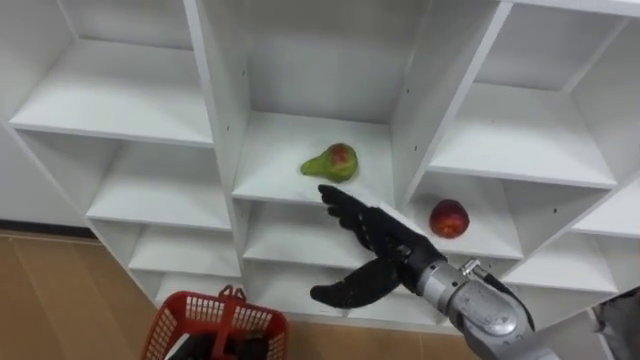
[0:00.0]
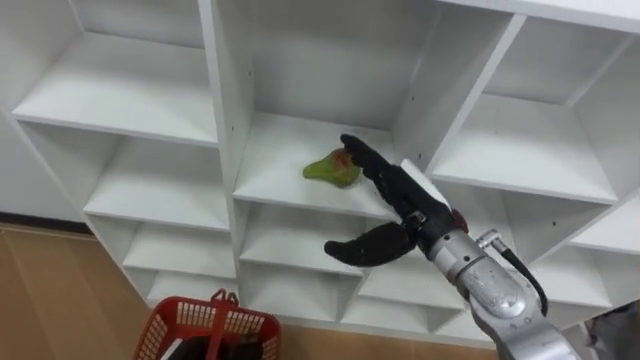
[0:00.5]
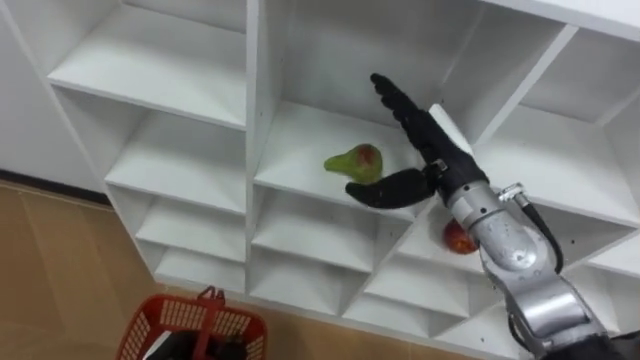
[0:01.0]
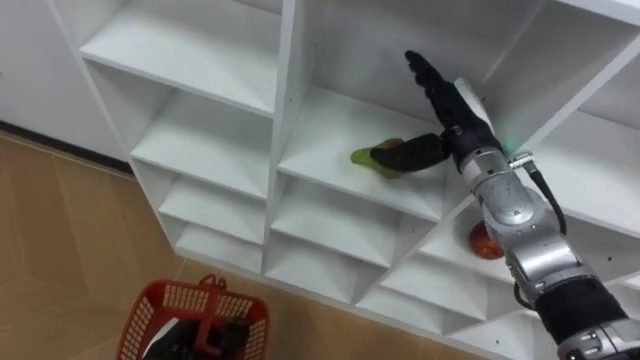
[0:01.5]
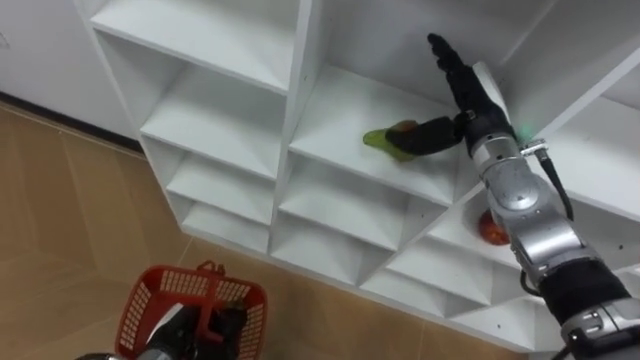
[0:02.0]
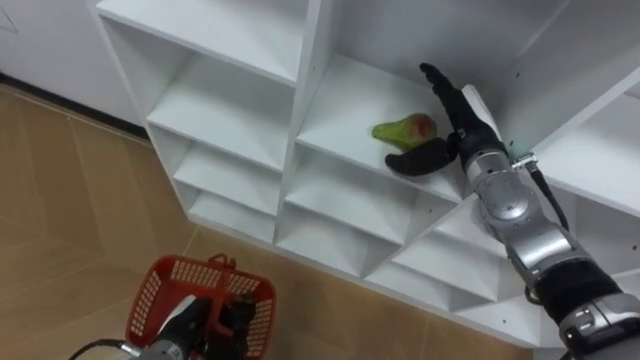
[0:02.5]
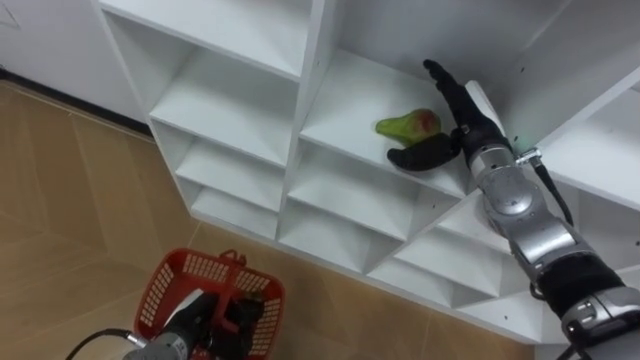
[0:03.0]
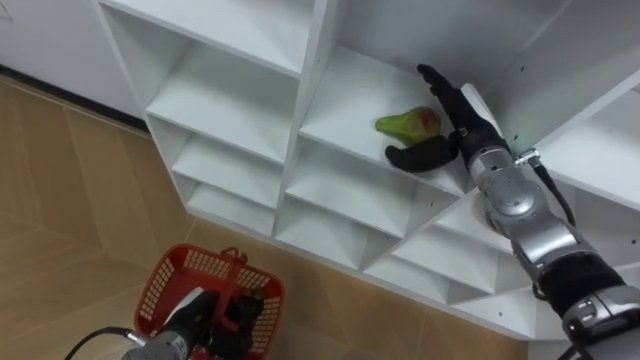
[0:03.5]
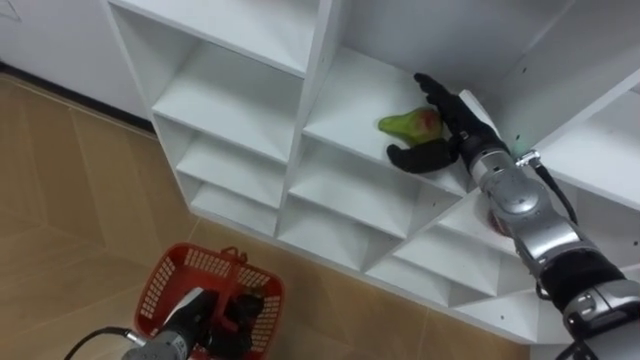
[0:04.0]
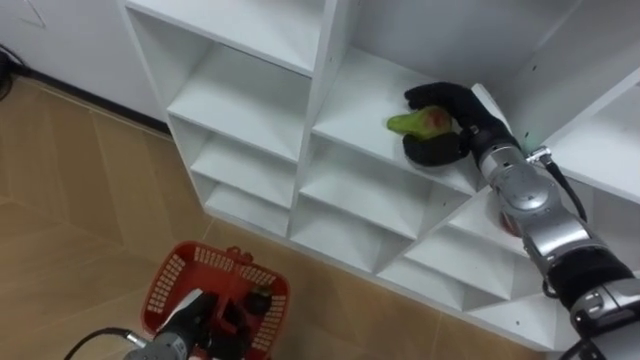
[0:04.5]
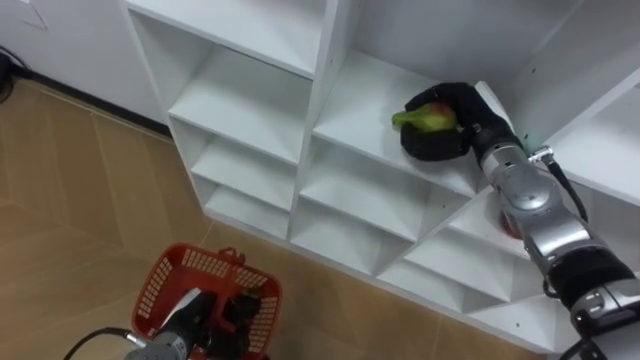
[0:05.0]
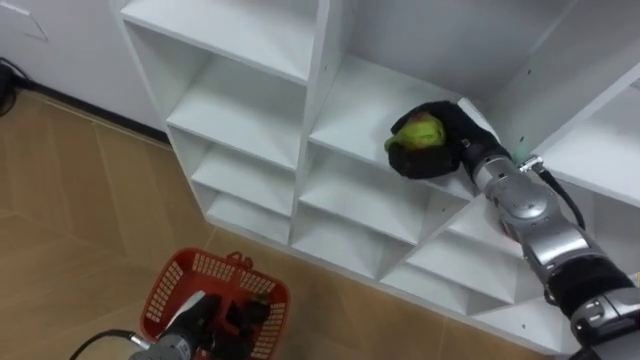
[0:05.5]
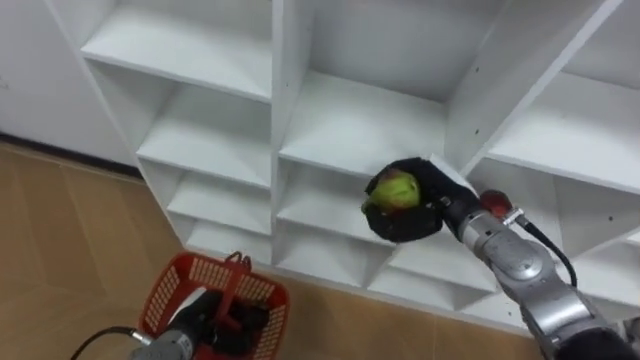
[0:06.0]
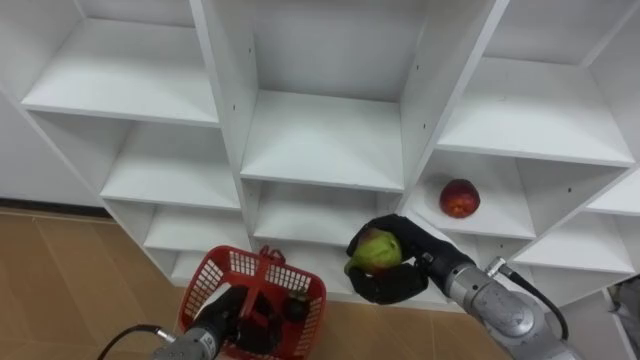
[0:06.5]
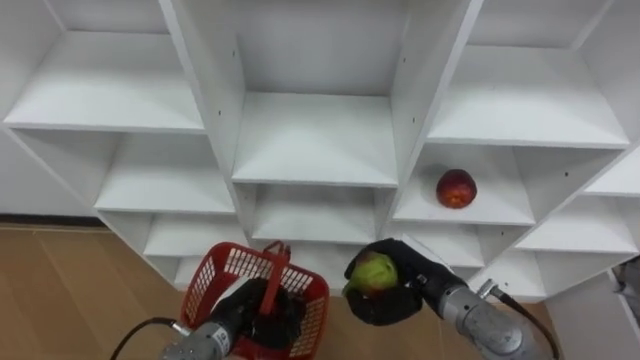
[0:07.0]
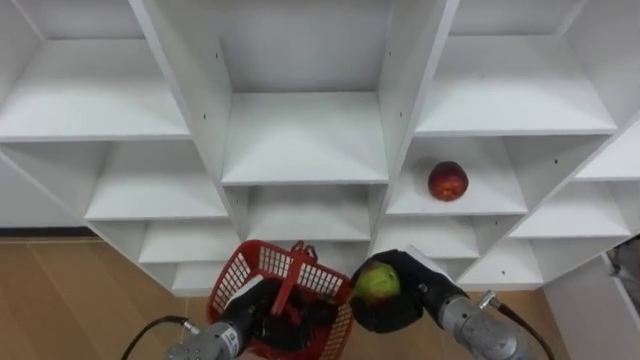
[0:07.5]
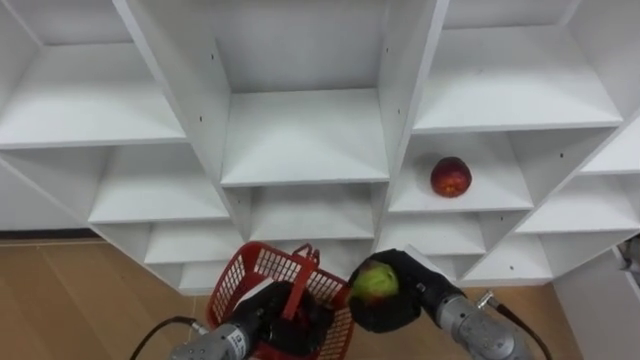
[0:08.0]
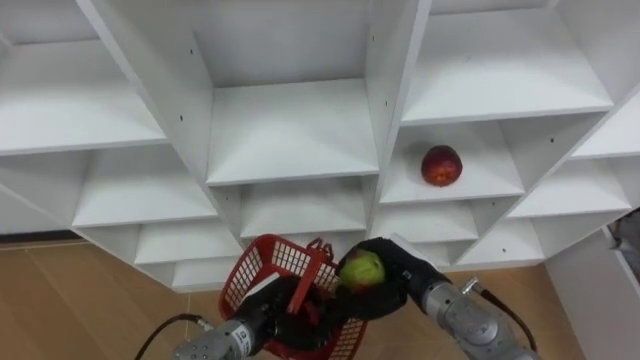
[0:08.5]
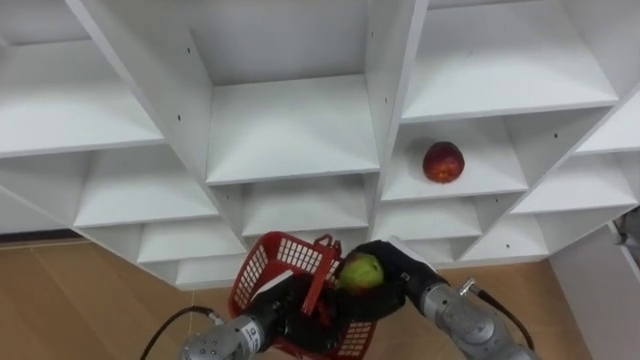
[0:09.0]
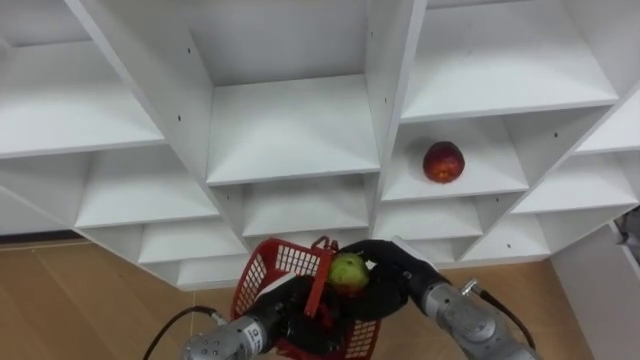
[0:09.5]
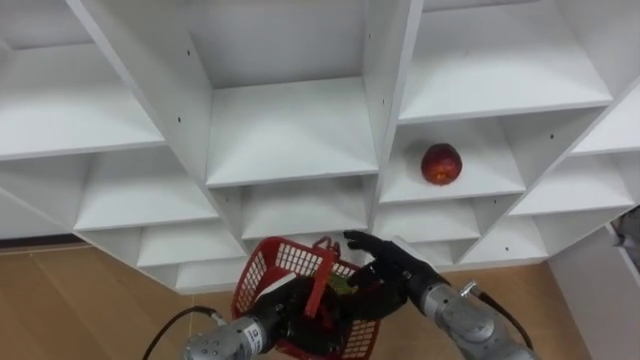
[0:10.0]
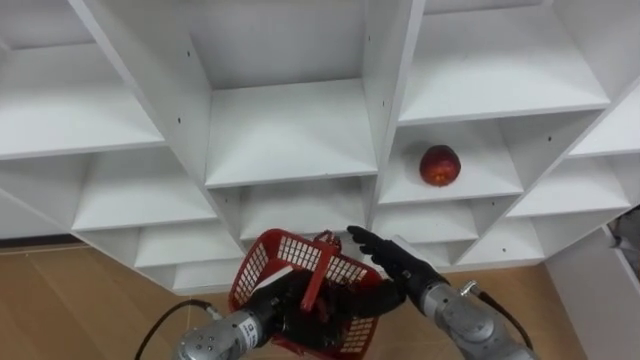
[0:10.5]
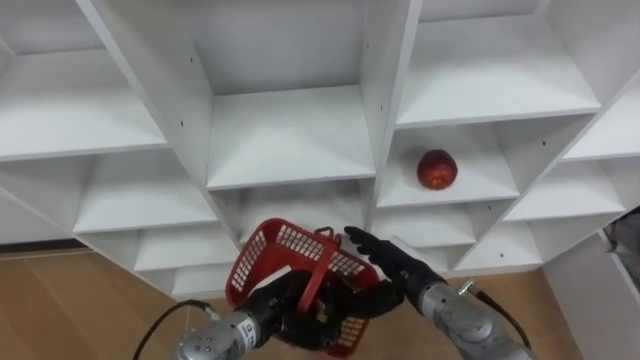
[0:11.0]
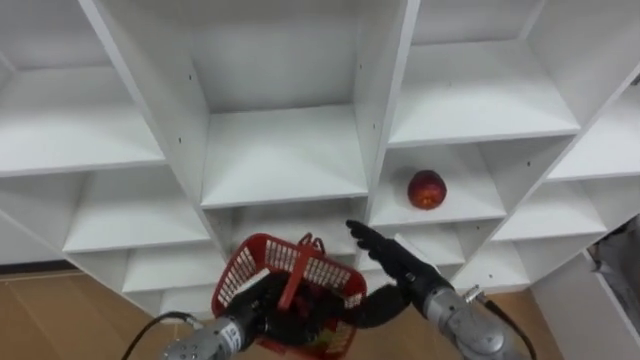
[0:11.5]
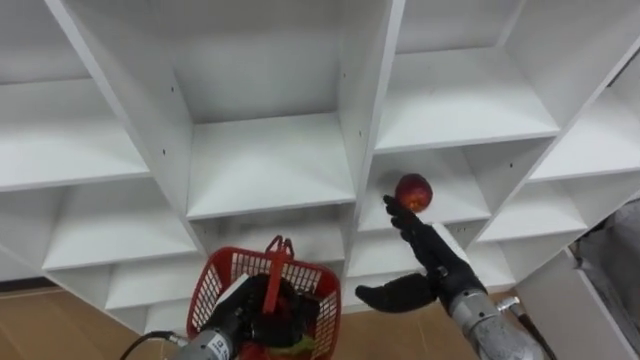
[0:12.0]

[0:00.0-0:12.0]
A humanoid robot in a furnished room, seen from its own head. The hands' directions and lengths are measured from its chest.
Task of the whole recording: Hold the basket and collect the fruits from 3 different cells of the closet into it.
0:00.0 to 0:02.0: The right hand shifts about 20 cm forward, to the right and upward.
0:04.0 to 0:06.0: The right hand goes roughly 5 cm backward, and closes up.
0:06.0 to 0:08.0: The left hand moves to the right, about 10 cm; the right hand heads downward and backward, covering about 10 cm.
0:08.0 to 0:10.0: The right hand opens up.
0:10.0 to 0:12.0: The left hand goes about 5 cm to the left, while the right hand moves some 5 cm.

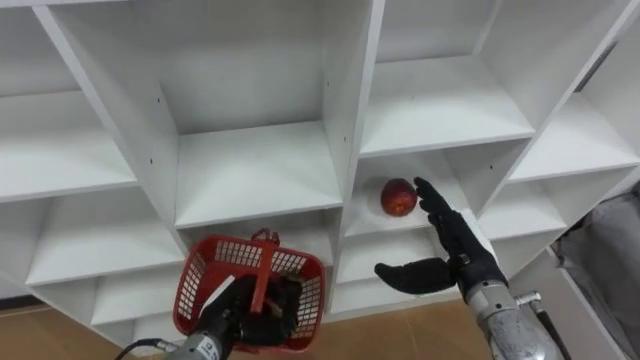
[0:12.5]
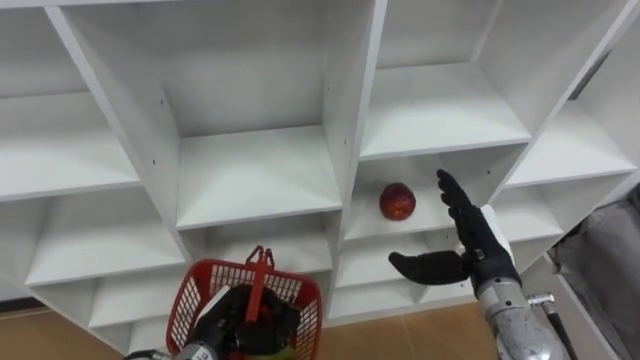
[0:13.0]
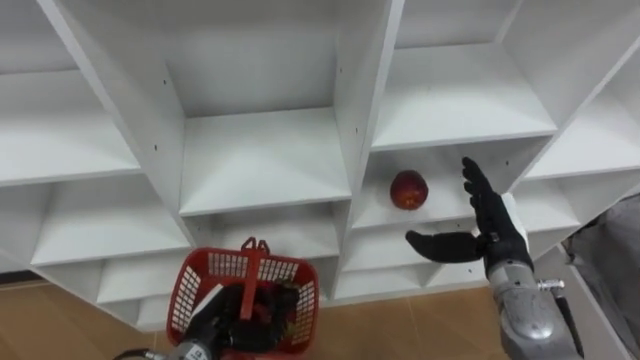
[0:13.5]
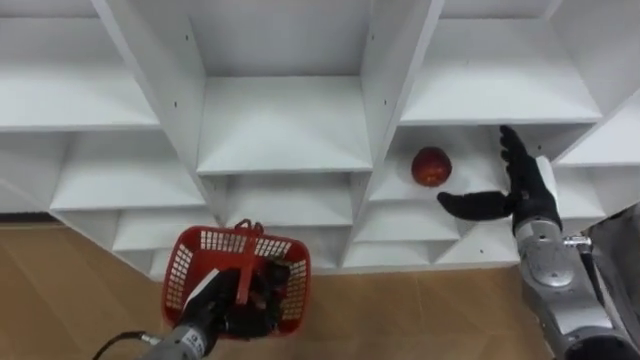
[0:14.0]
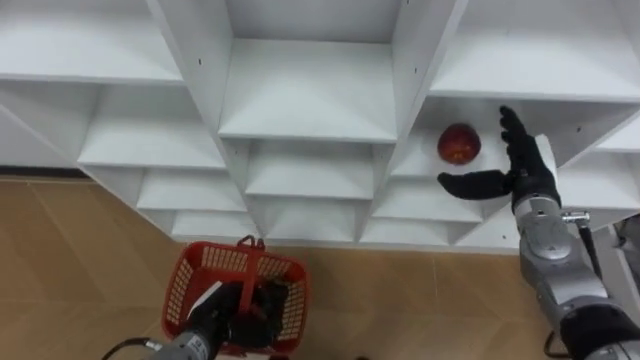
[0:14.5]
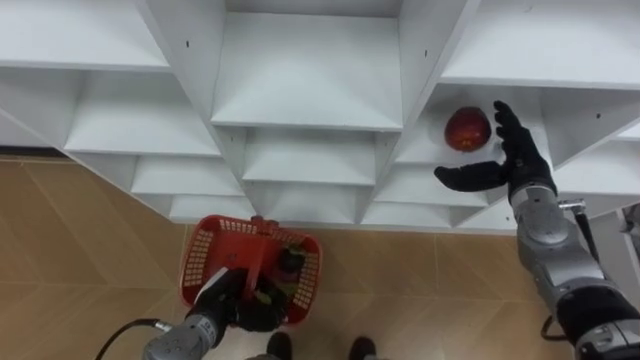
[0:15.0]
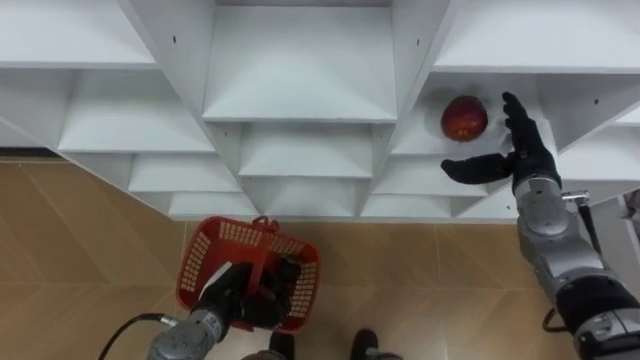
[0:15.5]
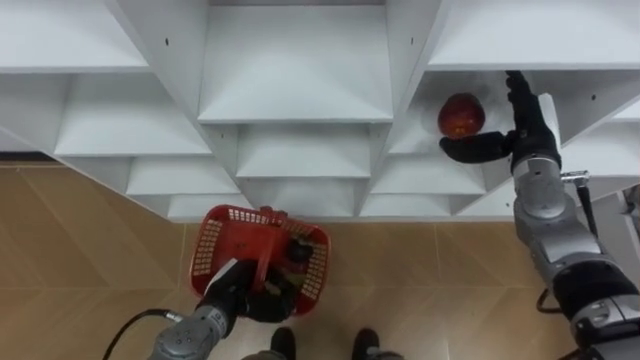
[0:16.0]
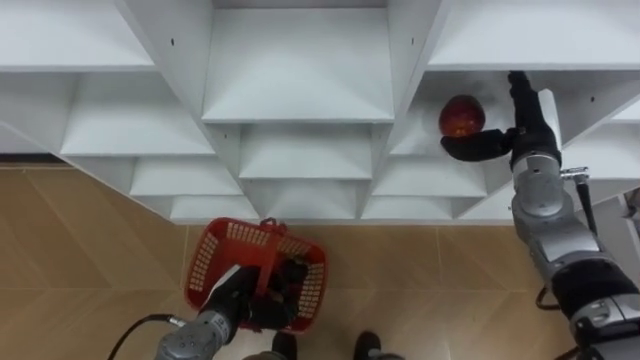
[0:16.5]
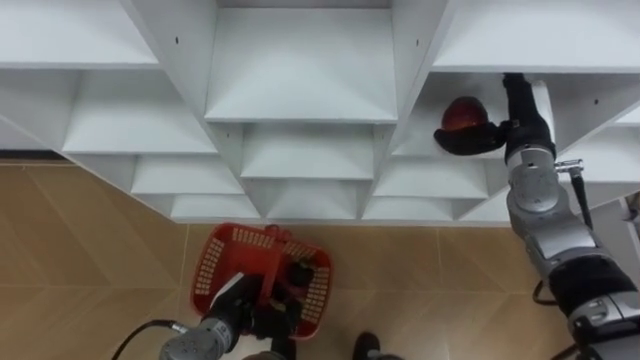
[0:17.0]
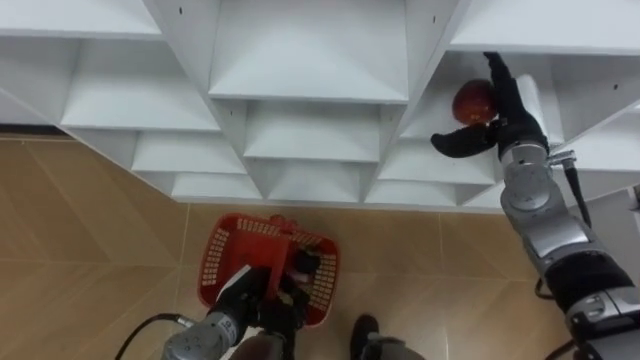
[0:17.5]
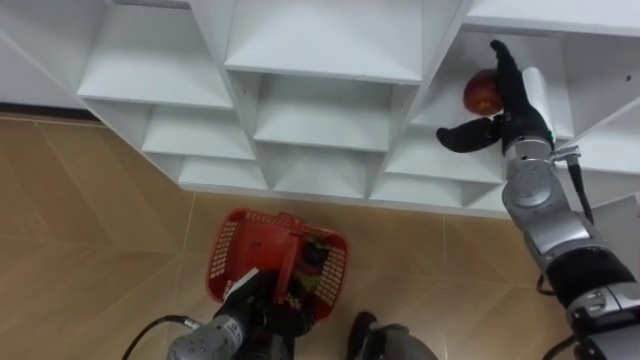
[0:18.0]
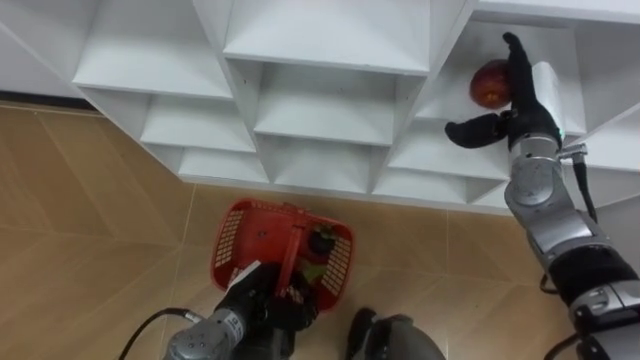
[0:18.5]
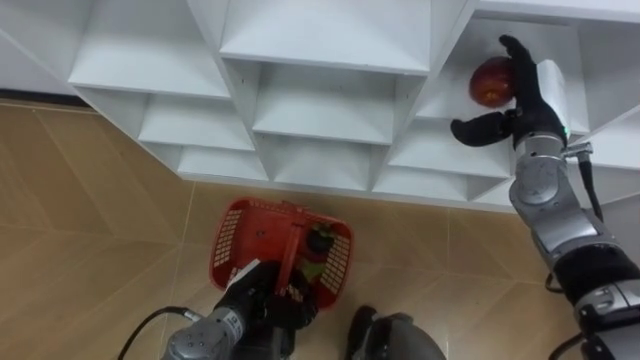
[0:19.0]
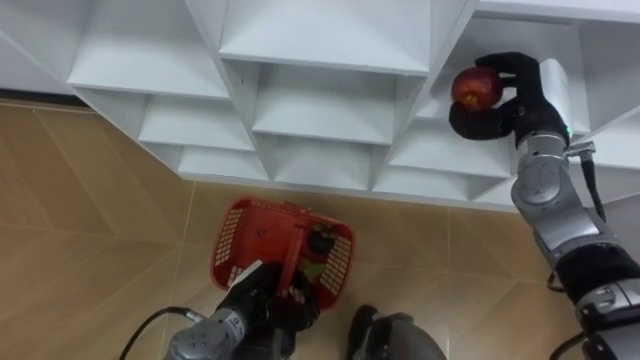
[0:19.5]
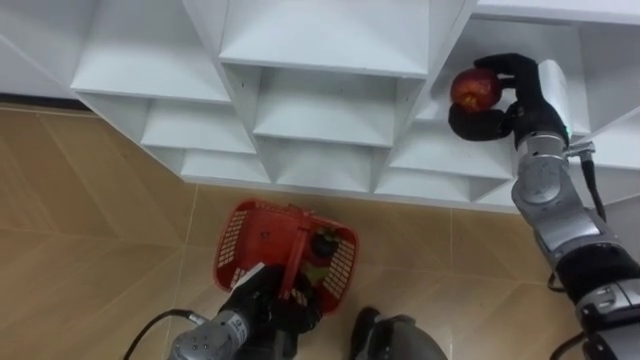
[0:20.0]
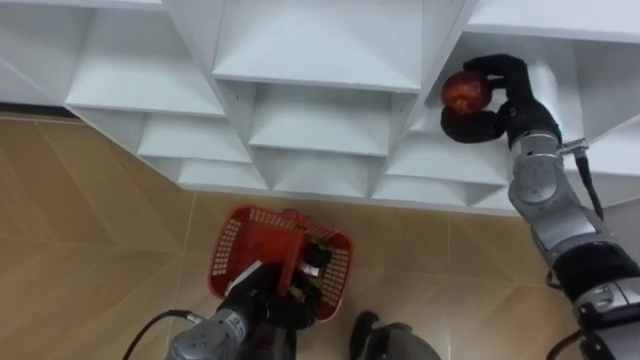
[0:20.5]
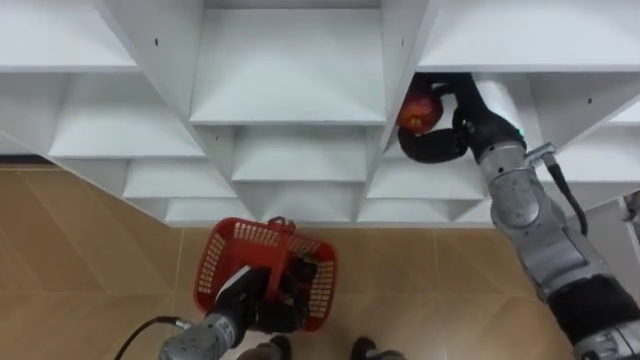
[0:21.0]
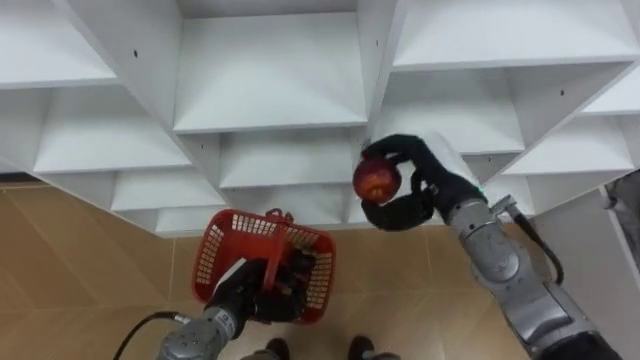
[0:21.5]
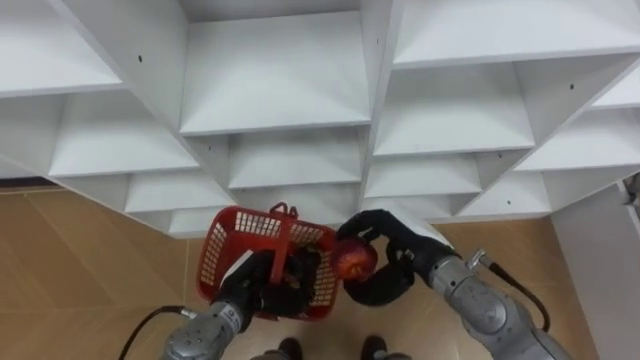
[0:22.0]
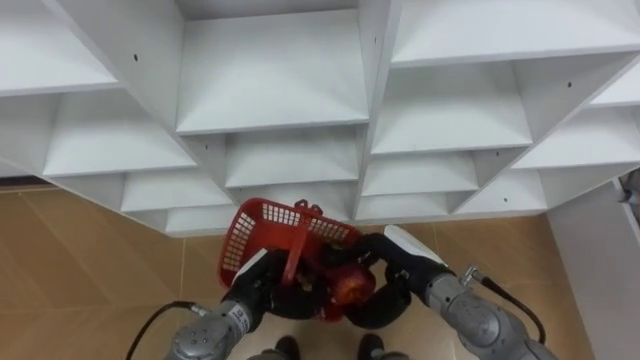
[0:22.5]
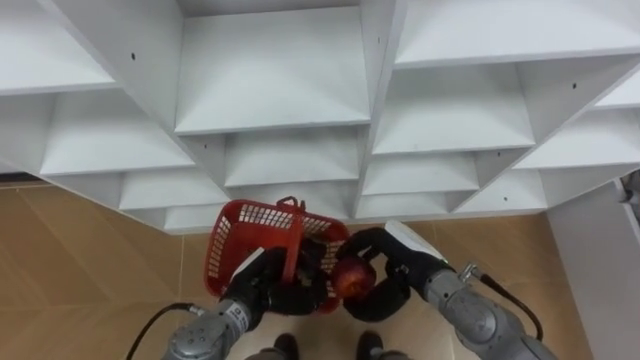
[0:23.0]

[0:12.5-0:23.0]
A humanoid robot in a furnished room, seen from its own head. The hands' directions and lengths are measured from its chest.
Task of the whole recording: Hold the basket and collect the fruits from 3 different cells of the closet into it.
0:12.5 to 0:14.5: The right hand heads forward and to the right, covering approximately 10 cm.
0:14.5 to 0:16.5: The right hand changes place by some 5 cm.
0:19.0 to 0:21.0: The right hand heads to the left, covering about 5 cm, and closes up.
0:21.0 to 0:23.0: The right hand travels downward, backward and to the left by about 20 cm.
